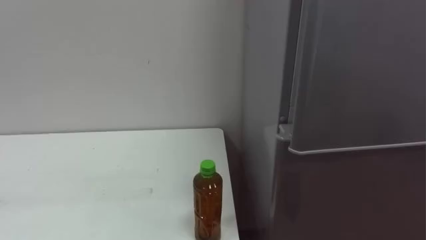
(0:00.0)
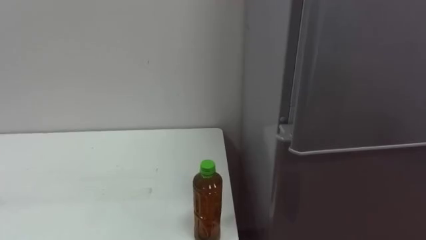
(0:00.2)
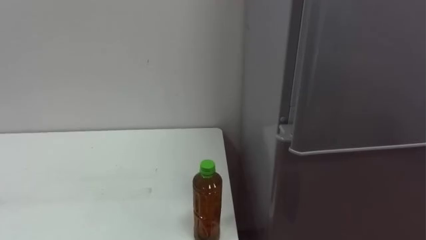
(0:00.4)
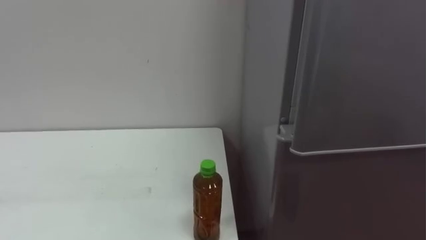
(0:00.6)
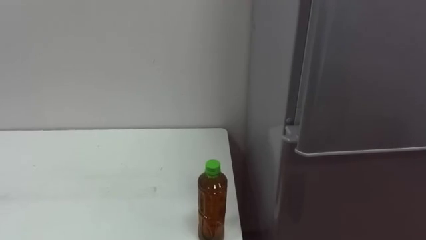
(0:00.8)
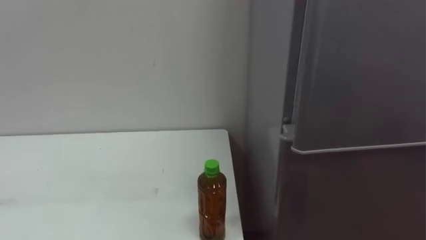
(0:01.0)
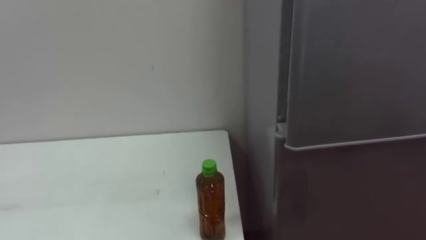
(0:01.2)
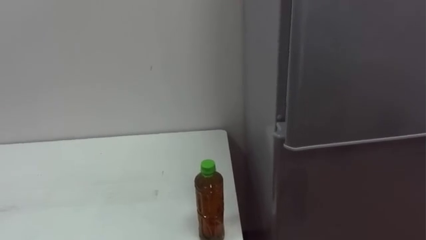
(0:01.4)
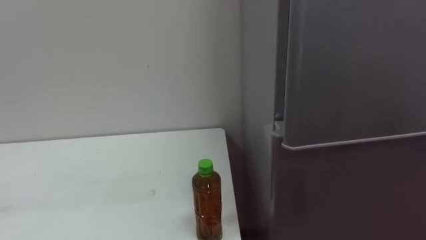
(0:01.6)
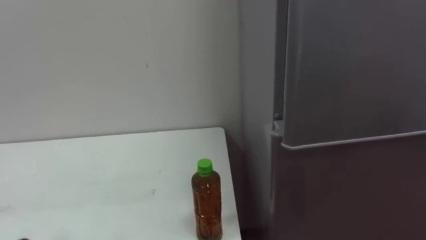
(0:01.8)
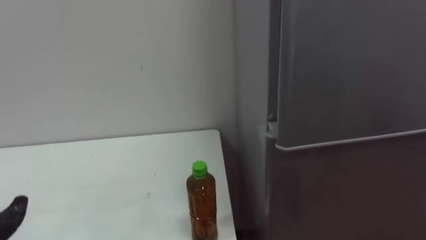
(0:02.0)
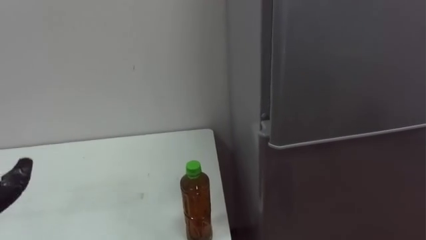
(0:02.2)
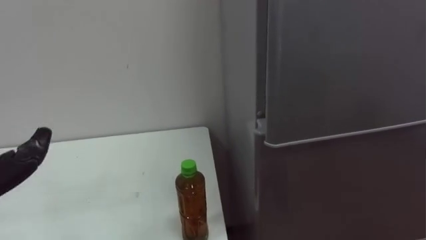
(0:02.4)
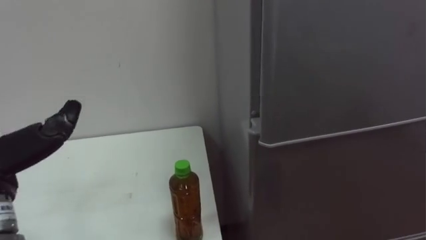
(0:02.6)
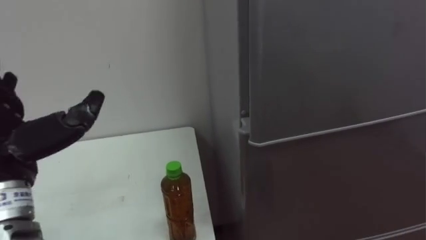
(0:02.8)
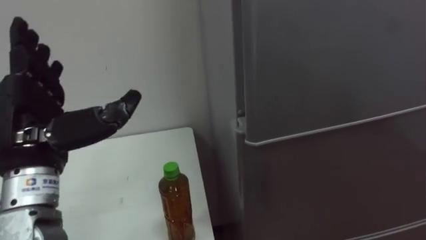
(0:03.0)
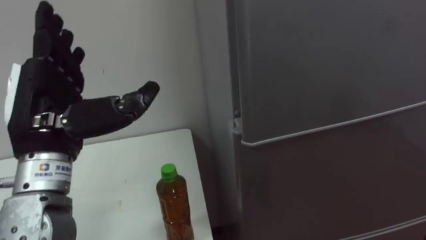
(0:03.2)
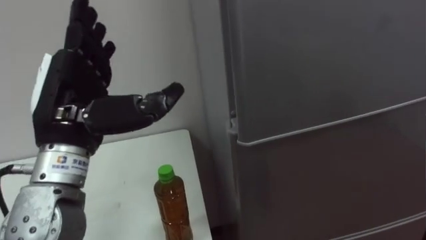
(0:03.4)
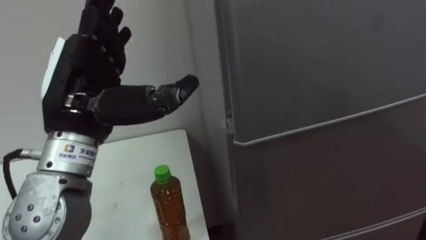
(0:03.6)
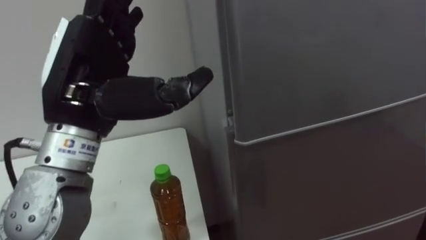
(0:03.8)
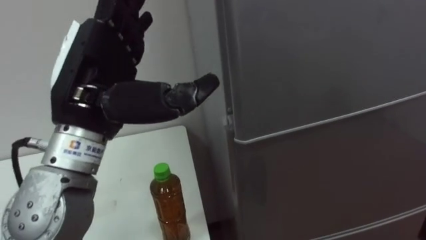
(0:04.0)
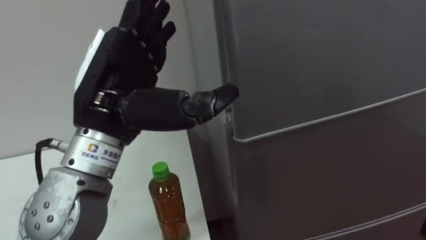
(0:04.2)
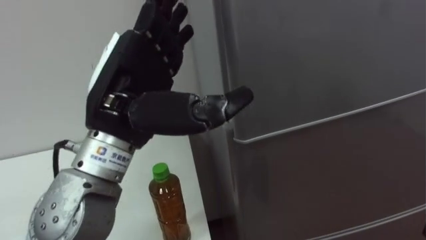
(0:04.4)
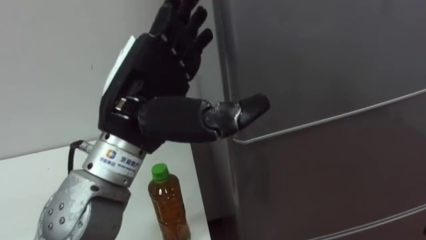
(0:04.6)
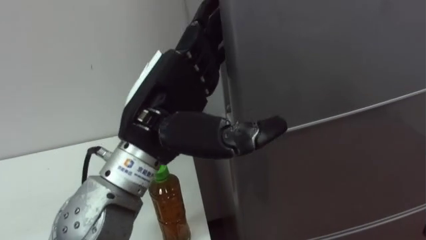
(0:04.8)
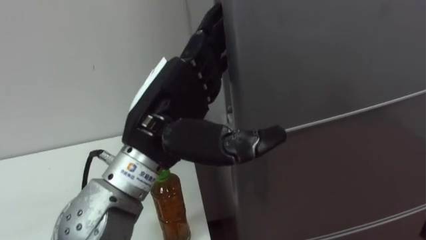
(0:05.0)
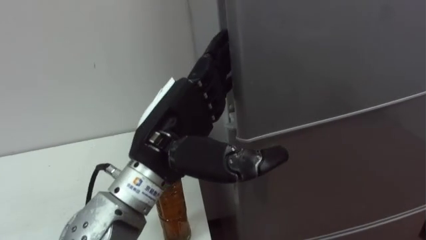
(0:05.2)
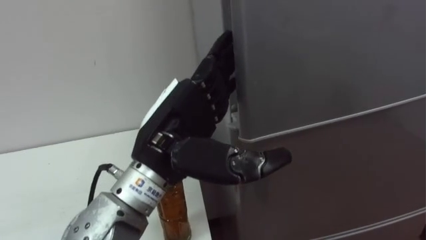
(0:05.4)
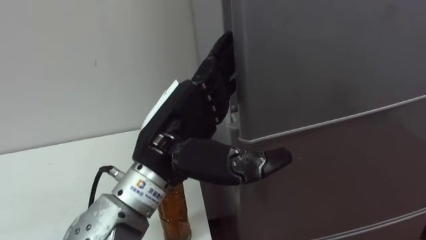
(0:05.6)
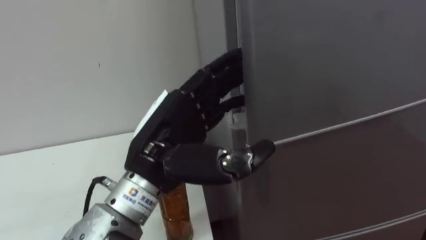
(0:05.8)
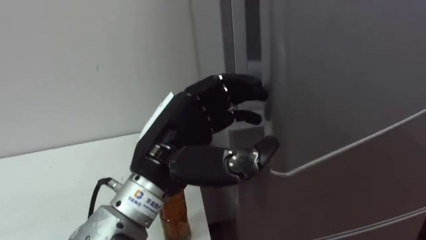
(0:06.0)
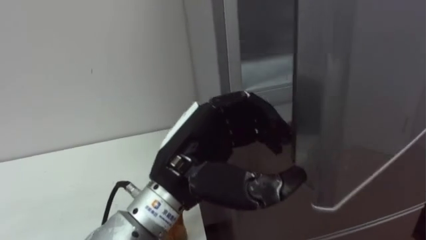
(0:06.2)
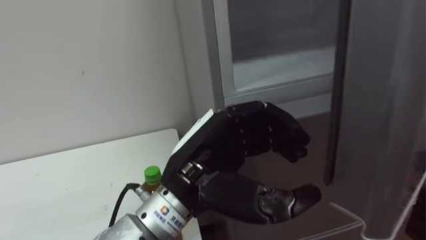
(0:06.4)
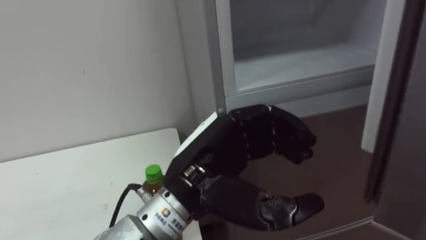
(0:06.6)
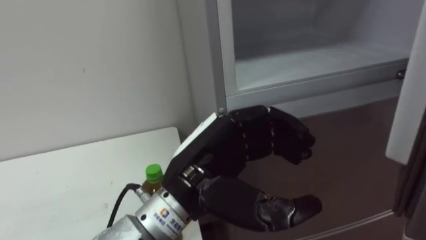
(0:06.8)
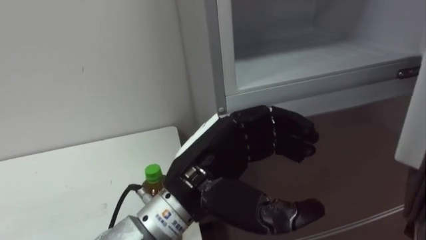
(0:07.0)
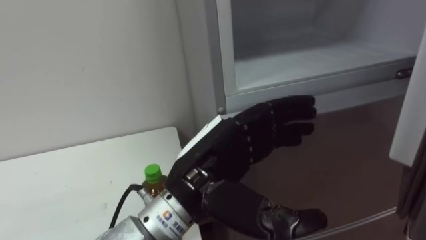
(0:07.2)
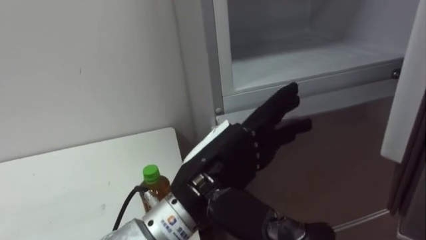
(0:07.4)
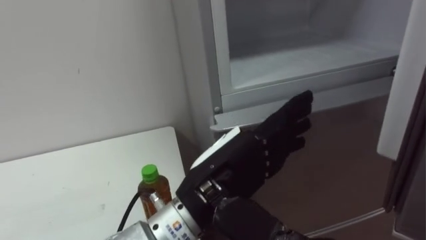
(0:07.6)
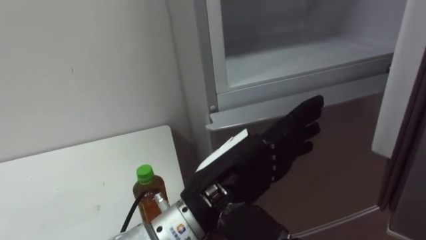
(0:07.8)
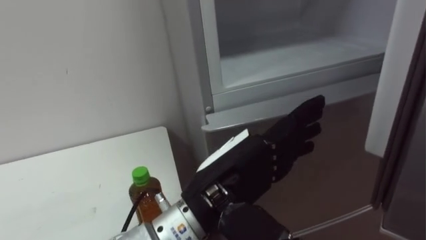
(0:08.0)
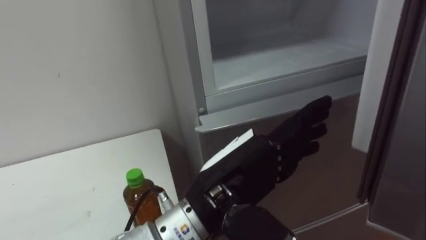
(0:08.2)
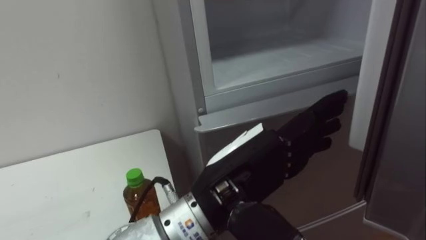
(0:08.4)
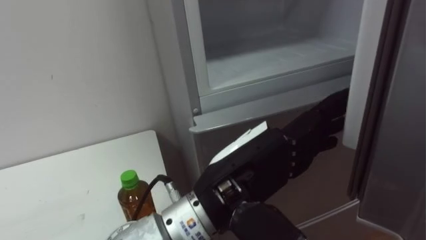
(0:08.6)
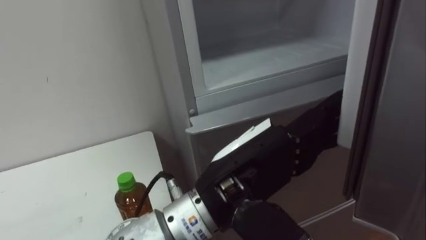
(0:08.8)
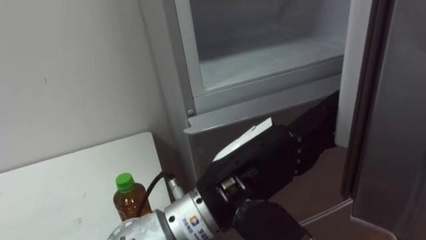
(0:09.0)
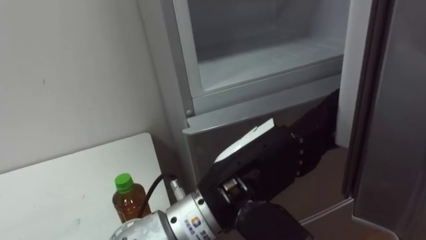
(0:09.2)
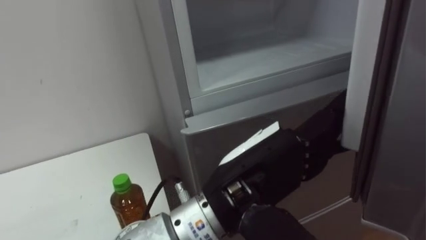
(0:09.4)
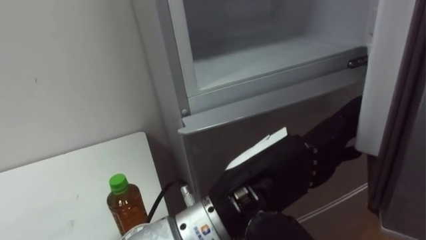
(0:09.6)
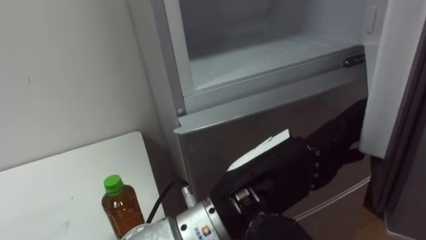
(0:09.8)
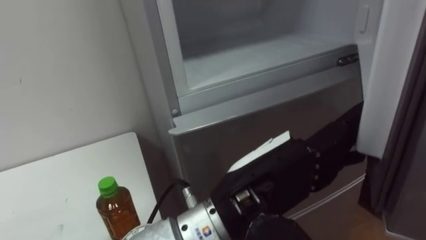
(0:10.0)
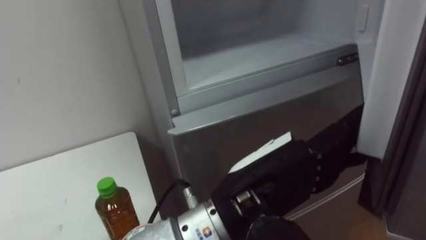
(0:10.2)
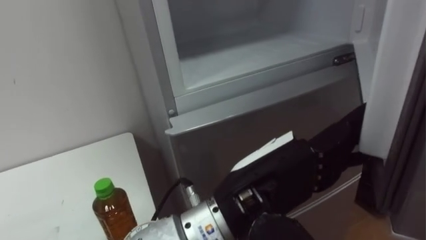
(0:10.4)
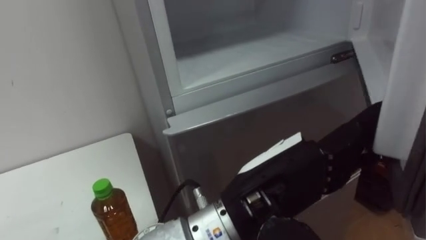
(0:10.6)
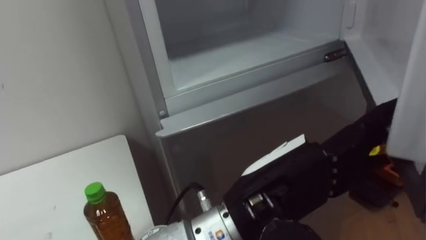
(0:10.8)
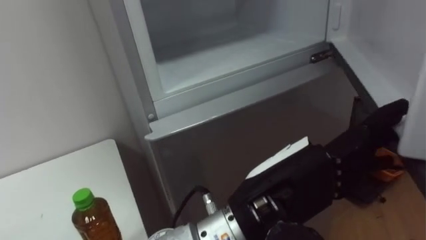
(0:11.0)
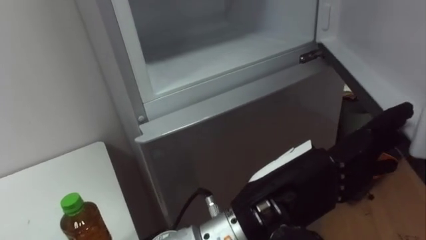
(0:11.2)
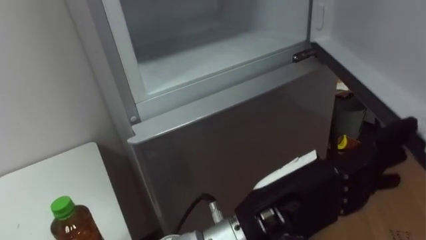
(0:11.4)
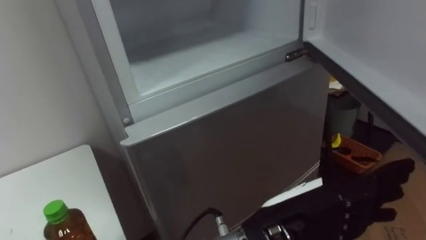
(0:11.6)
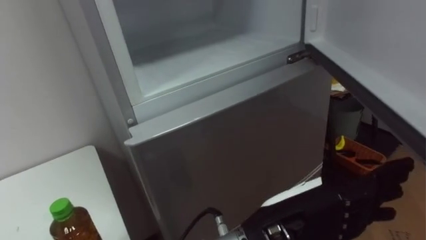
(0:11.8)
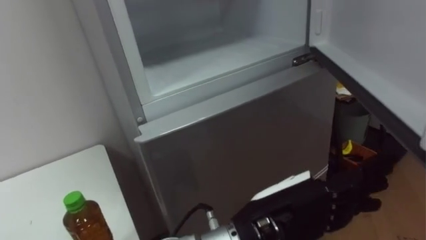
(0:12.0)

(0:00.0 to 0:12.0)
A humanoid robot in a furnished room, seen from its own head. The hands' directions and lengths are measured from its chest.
Task of the whole recording: Open the upper refrigerator door, put the drink from the table into the refrigerator, and then close the refrigerator door.
0:03.0 - 0:04.4: The left hand heads to the right, covering about 10 cm.
0:04.4 - 0:06.0: The left hand goes approximately 5 cm downward, and closes up.
0:06.0 - 0:07.6: The left hand is displaced to the right by some 5 cm, and opens.
0:10.4 - 0:12.0: The left hand ends up about 5 cm from where it was.

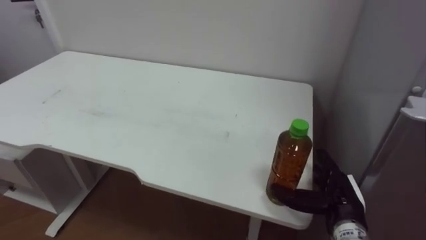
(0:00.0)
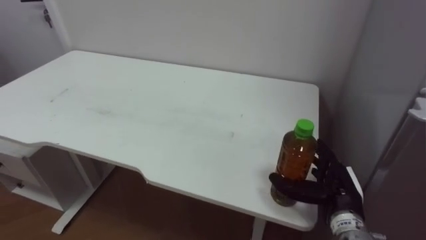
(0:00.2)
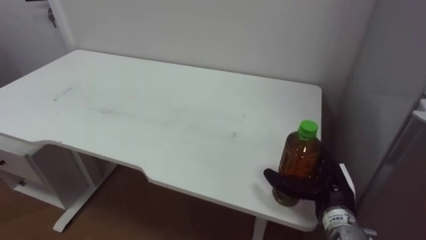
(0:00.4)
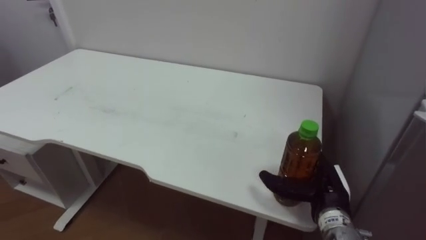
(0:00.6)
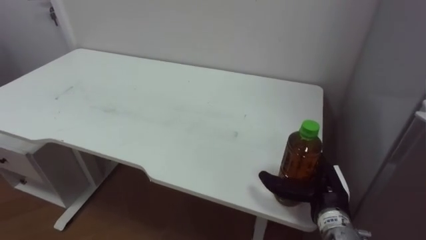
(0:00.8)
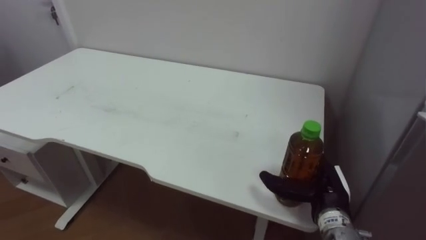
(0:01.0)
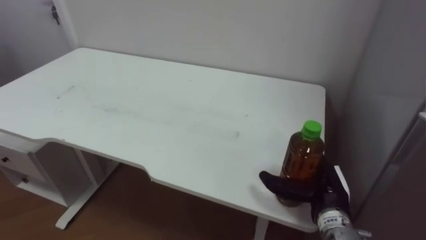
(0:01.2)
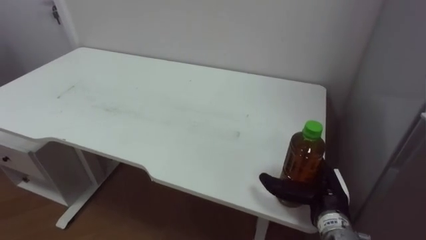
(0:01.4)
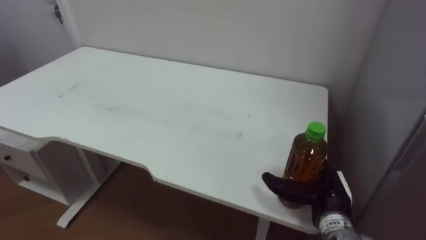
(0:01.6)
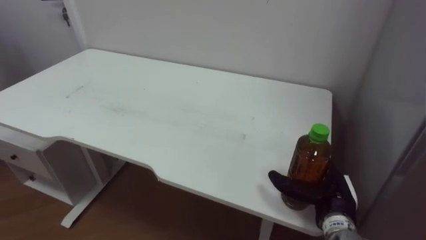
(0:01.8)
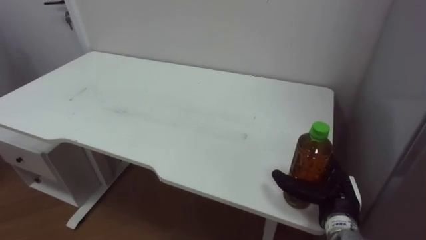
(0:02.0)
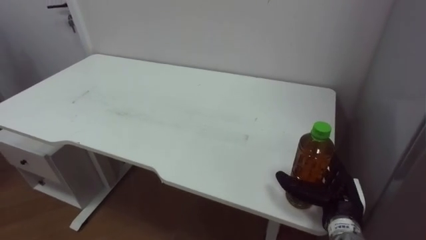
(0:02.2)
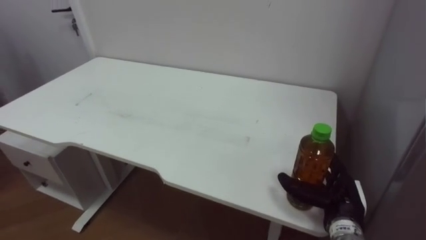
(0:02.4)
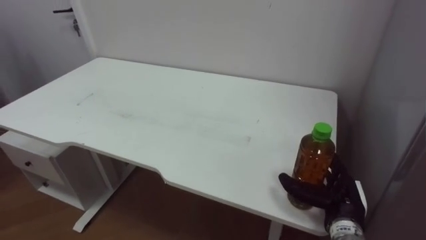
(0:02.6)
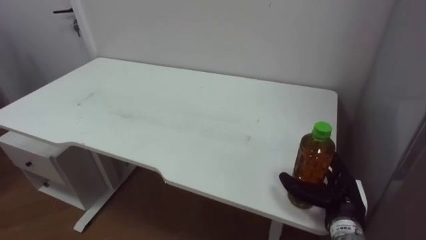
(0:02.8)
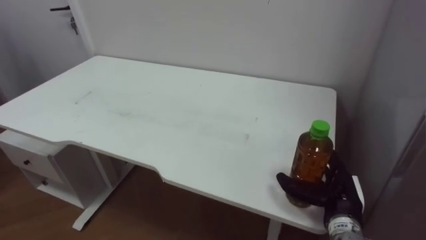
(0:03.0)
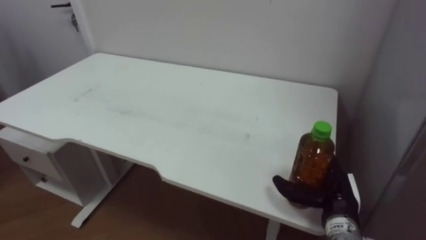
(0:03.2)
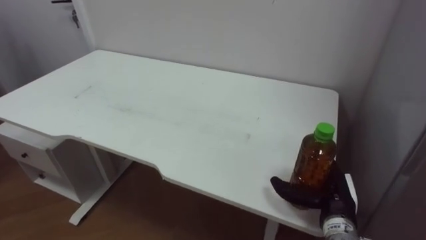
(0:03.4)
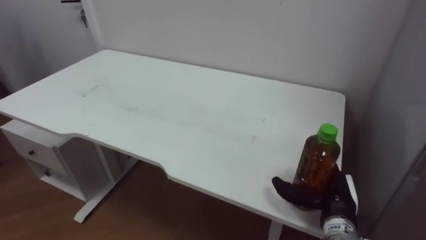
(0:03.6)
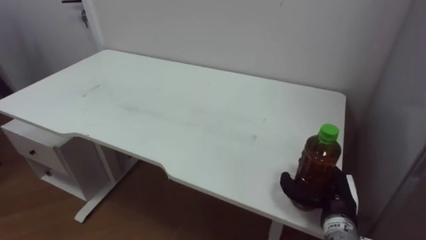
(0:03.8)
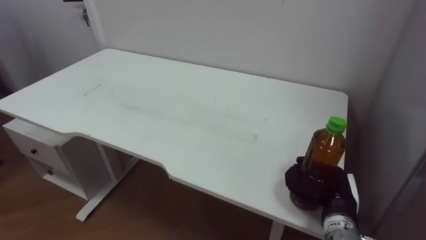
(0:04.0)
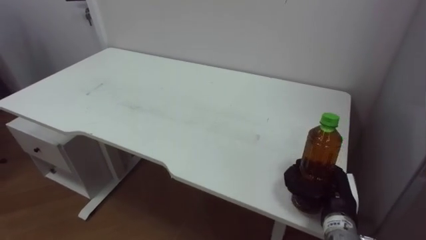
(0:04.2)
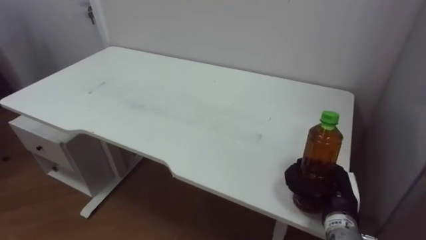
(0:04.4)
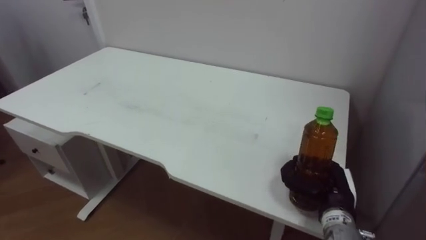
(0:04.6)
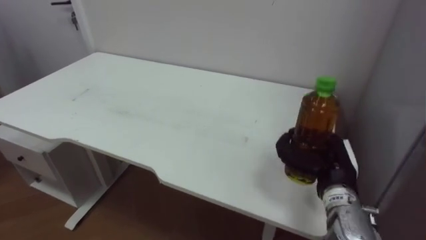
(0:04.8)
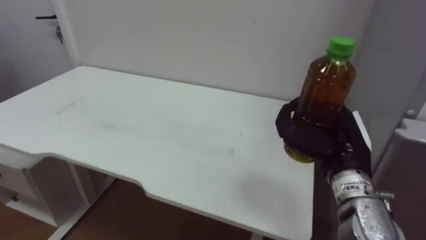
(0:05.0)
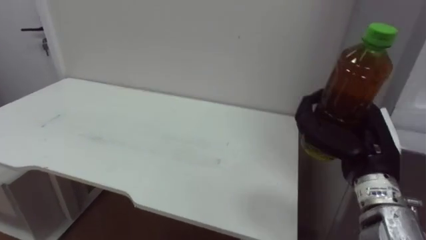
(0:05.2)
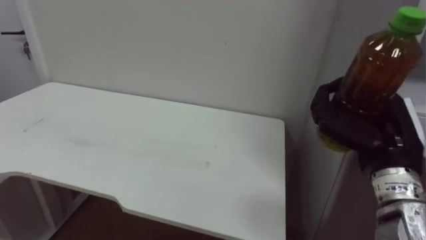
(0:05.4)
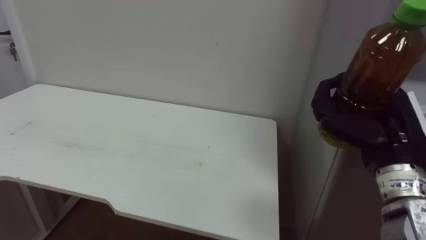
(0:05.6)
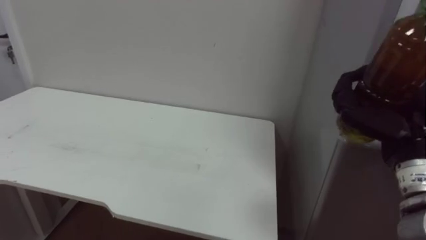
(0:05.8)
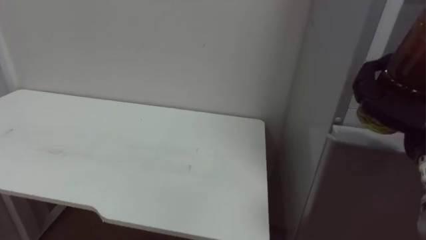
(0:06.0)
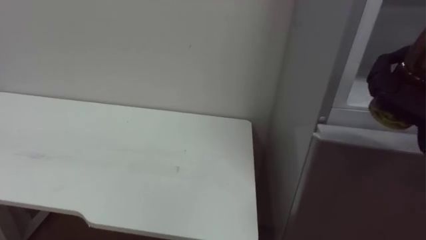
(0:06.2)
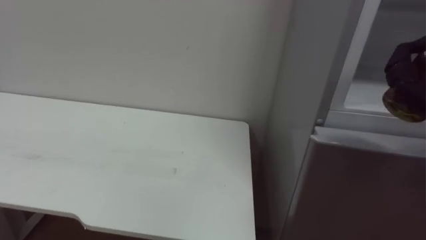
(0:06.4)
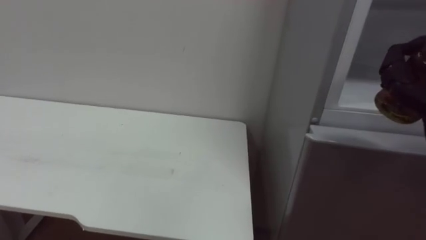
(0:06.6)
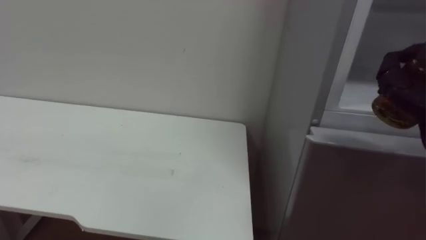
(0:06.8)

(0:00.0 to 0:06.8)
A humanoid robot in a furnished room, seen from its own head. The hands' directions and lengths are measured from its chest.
Task of the whole recording: Open the upper refrigerator door, put the drink from the table into the refrigerator, and then close the refrigerator door.
0:02.8 - 0:04.0: The right hand closes.
0:04.0 - 0:05.4: The right hand moves upward, approximately 15 cm.
